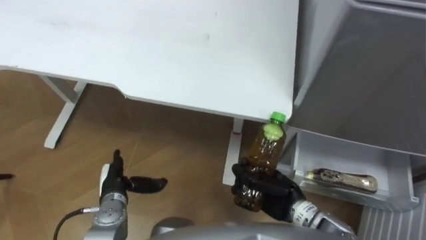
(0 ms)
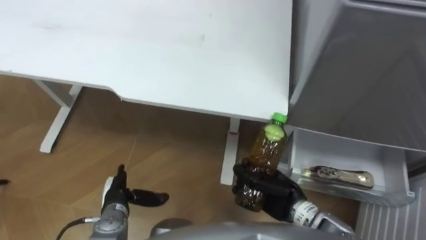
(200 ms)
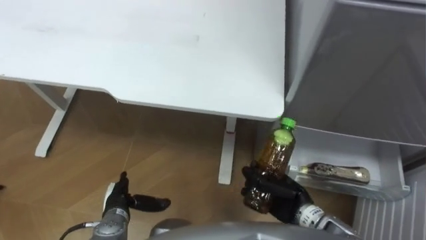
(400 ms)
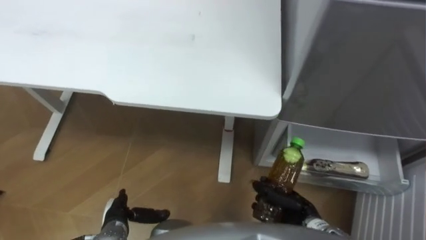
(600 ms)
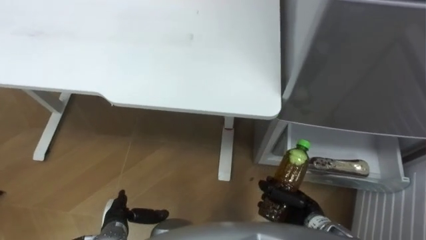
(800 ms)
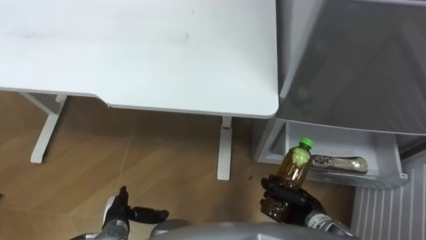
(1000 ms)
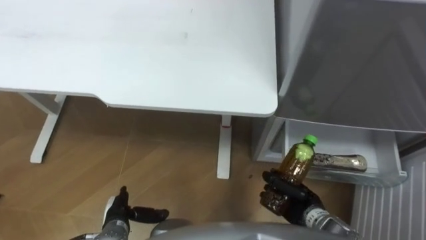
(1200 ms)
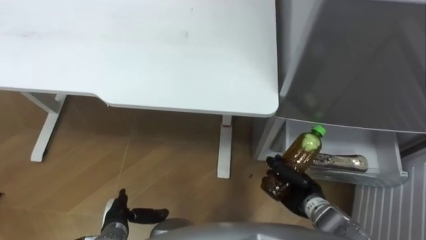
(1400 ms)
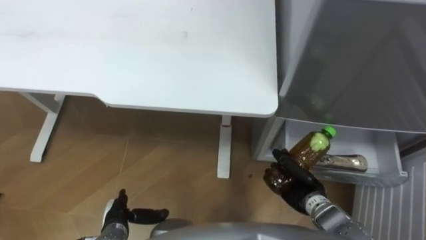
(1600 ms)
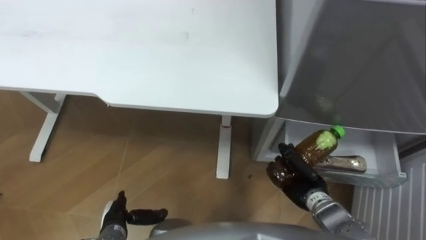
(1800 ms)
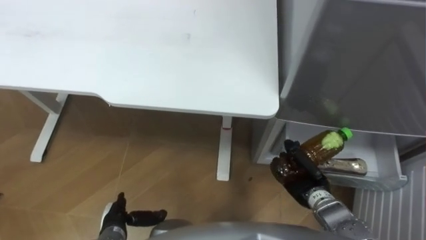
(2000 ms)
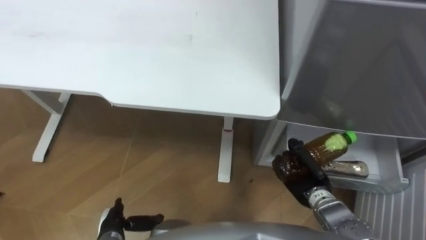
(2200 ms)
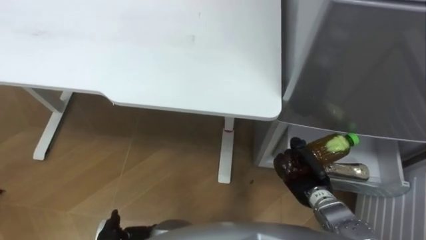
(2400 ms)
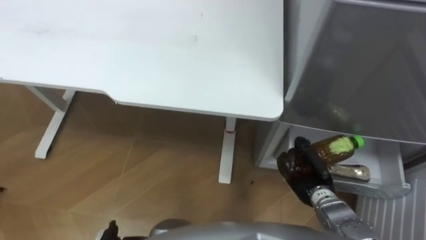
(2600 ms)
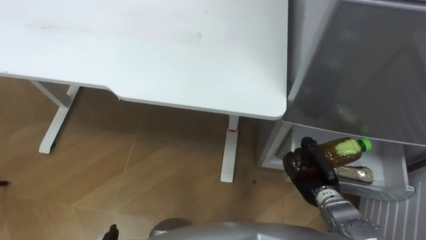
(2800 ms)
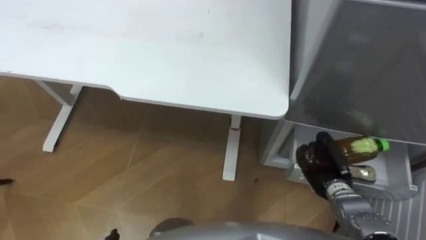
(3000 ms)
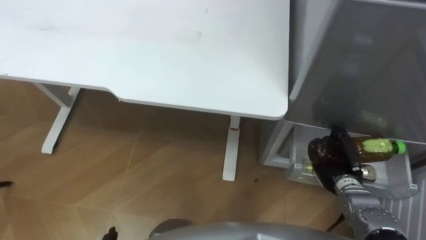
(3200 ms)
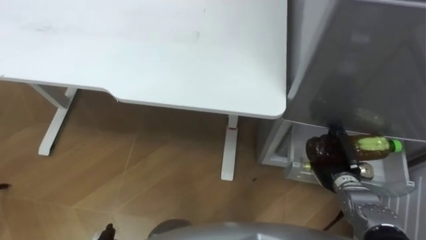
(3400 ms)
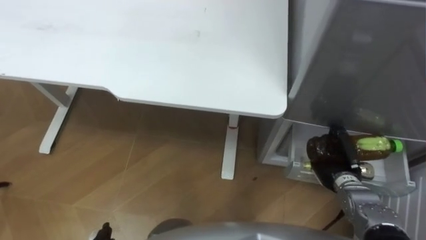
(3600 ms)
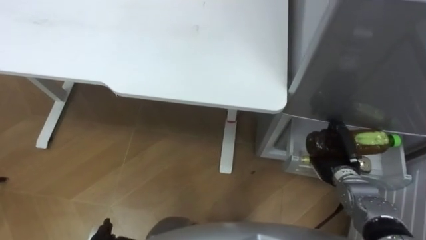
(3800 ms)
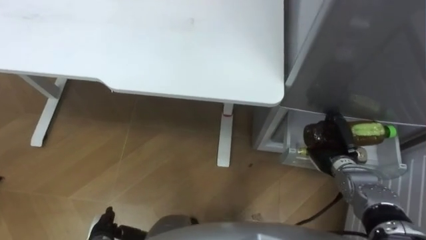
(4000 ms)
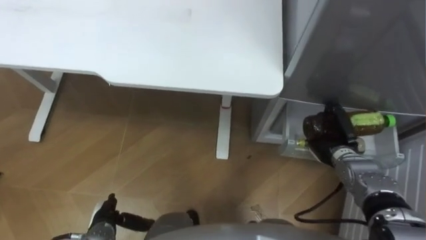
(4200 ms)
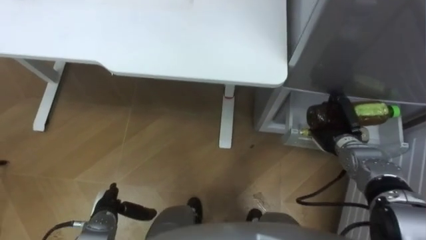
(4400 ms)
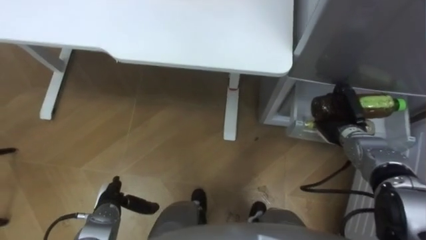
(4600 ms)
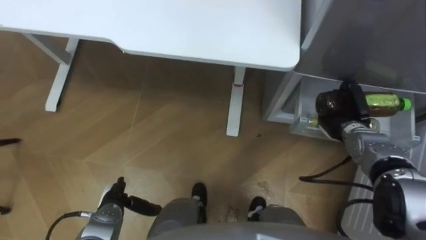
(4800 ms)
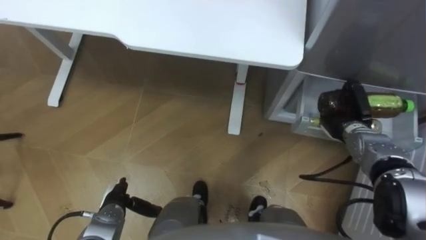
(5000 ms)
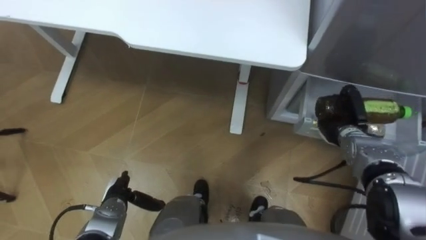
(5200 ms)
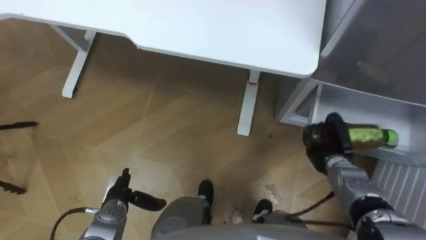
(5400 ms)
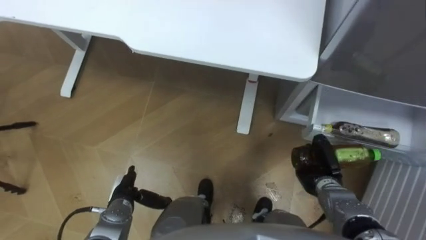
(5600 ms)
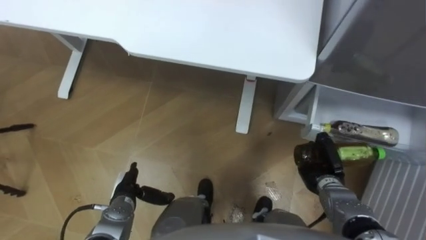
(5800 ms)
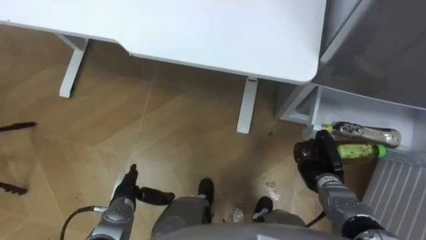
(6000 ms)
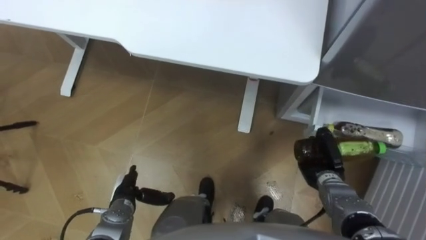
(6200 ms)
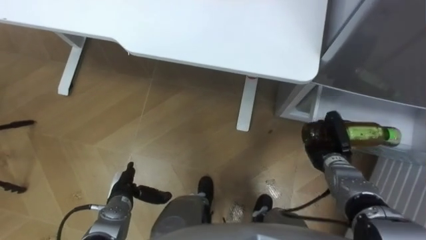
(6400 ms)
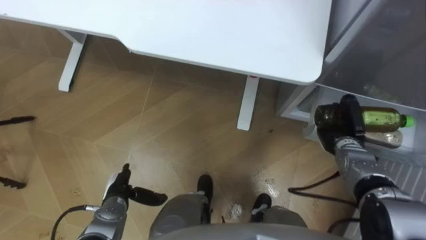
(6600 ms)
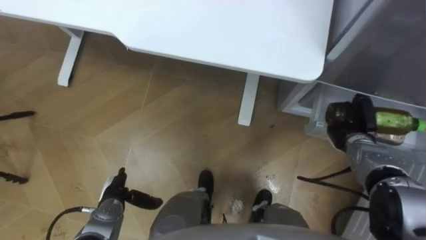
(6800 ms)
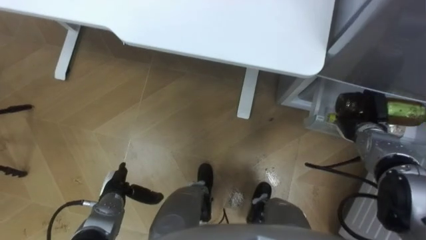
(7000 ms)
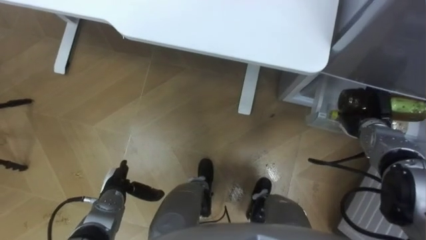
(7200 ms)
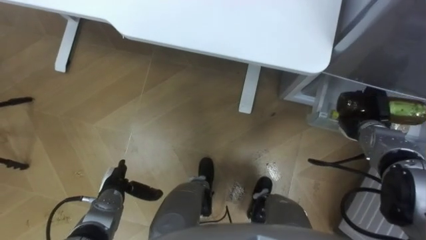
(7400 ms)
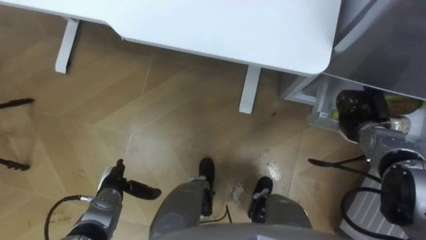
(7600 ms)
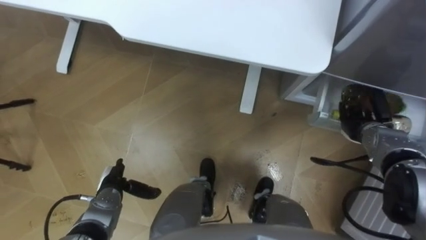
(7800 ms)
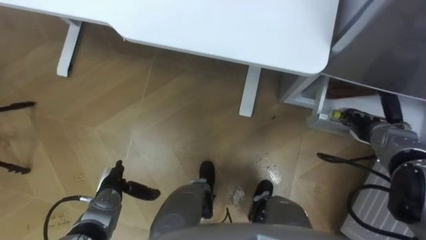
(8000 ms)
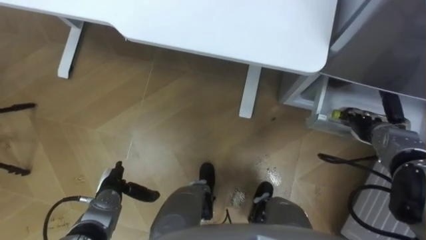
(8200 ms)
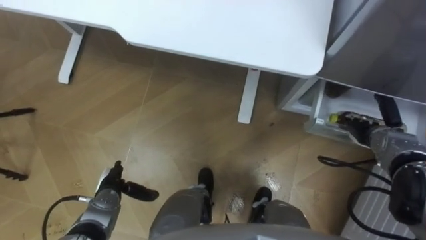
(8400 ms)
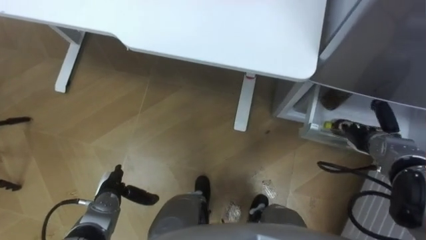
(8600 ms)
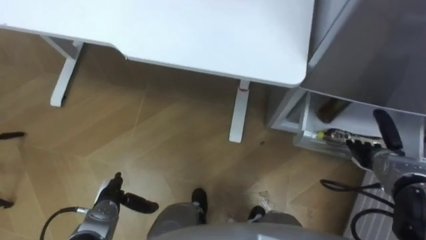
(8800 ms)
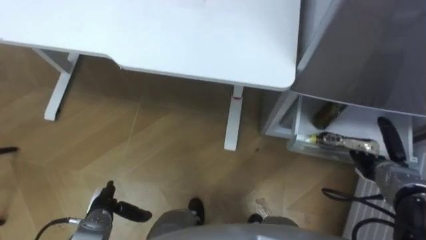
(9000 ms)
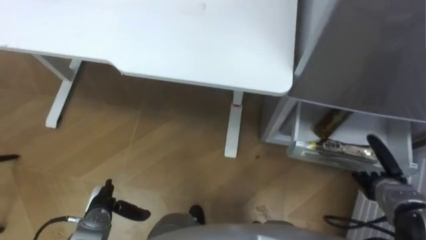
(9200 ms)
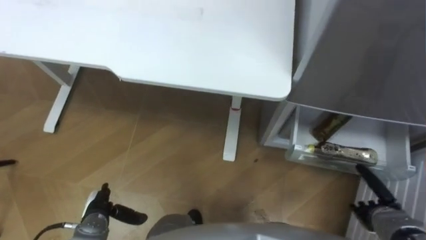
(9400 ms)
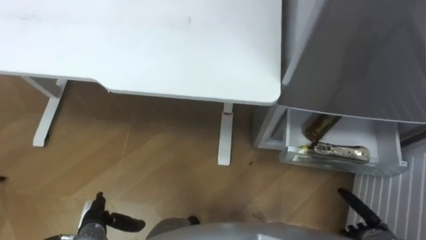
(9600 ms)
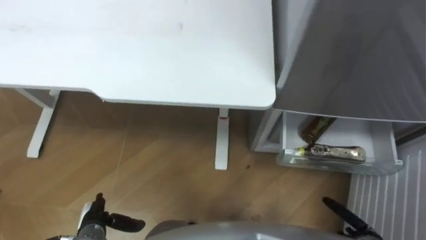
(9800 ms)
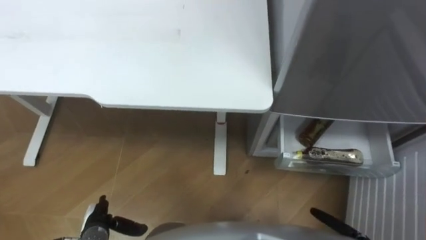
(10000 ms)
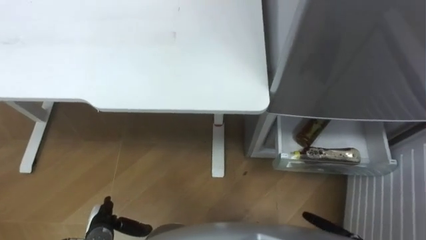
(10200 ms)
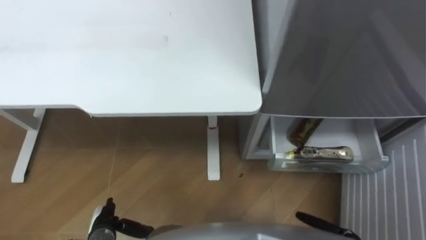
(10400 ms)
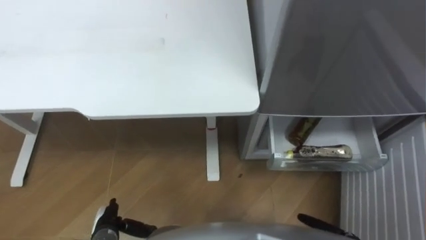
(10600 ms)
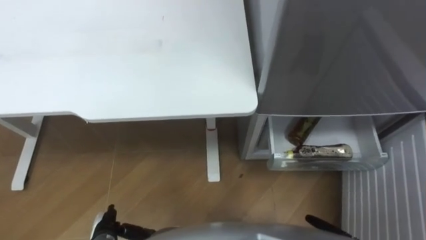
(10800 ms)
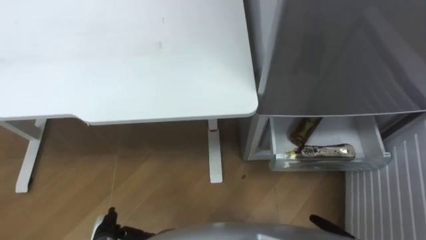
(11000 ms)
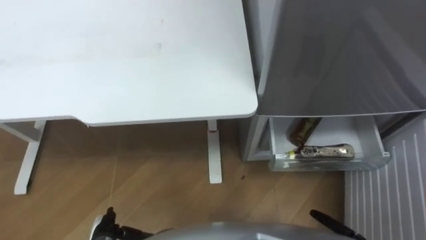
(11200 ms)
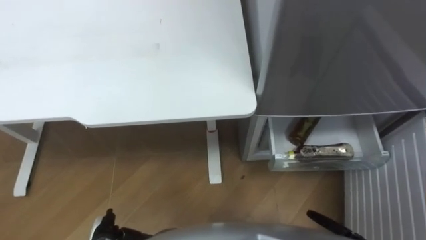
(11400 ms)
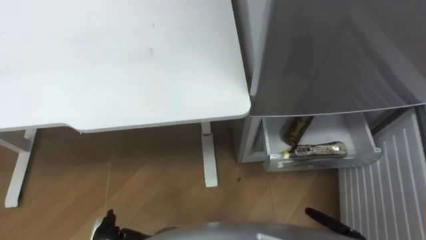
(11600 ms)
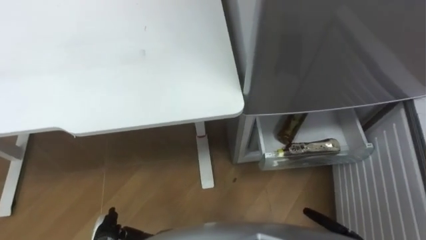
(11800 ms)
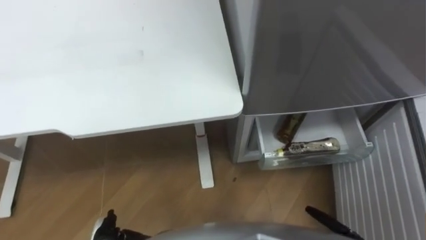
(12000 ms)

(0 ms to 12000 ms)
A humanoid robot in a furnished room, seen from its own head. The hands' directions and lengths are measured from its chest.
Task of the whole recording: Place the drink on the table on the bottom shelf of the refrigerator, then close the drawer and the refrigerator door.
0 ms - 1600 ms: The left hand travels backward by approximately 5 cm; the right hand travels to the right and downward by roughly 10 cm.
1600 ms - 3000 ms: The right hand travels to the right by approximately 5 cm.
3000 ms - 4400 ms: The right hand heads forward, covering roughly 10 cm.
4400 ms - 6000 ms: The left hand moves about 5 cm. Meanwhile the right hand is displaced backward by roughly 5 cm.
6000 ms - 7600 ms: The right hand heads forward, to the right and upward, covering about 15 cm, and opens its fingers.
7600 ms - 9000 ms: The right hand moves backward, about 10 cm, and opens.

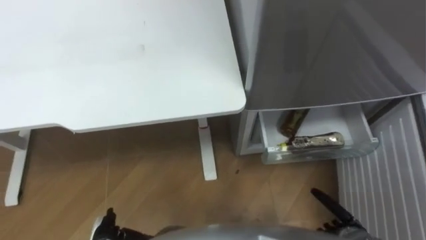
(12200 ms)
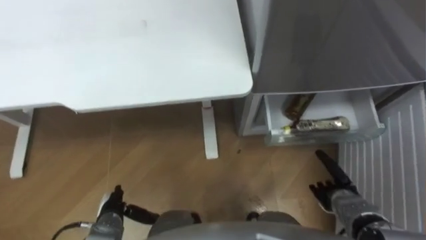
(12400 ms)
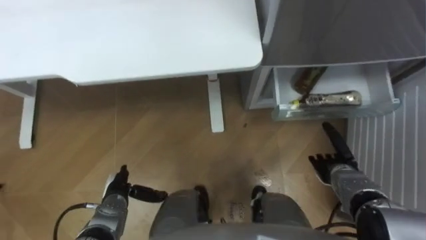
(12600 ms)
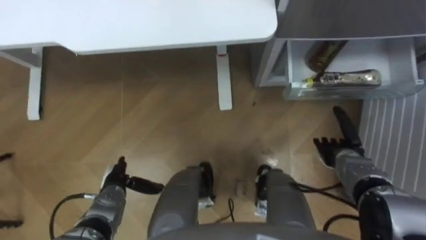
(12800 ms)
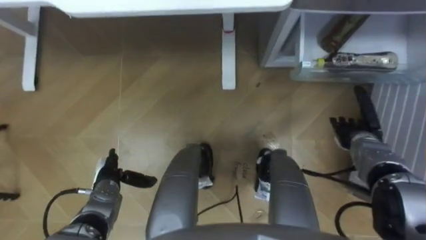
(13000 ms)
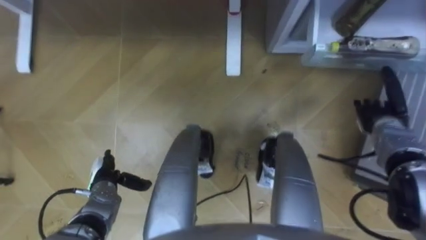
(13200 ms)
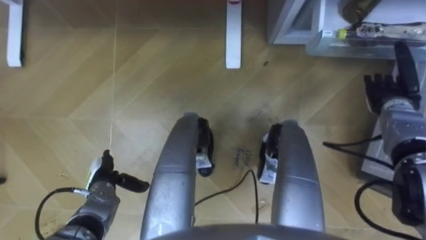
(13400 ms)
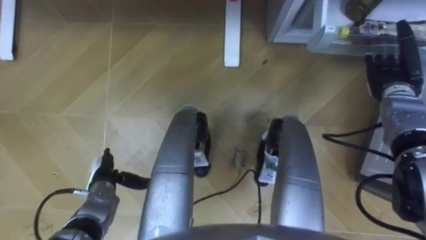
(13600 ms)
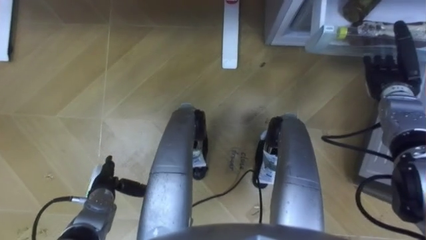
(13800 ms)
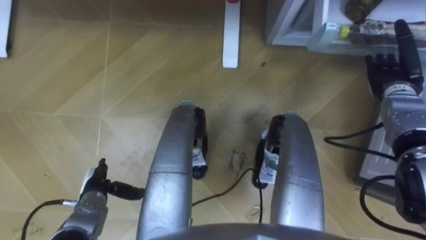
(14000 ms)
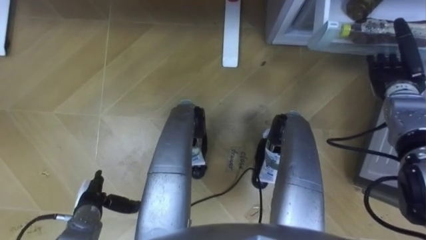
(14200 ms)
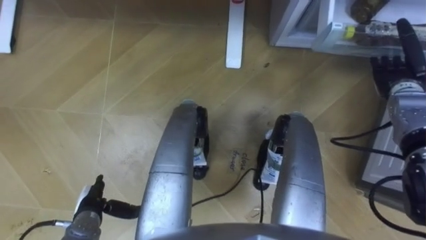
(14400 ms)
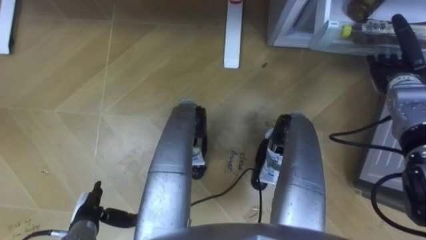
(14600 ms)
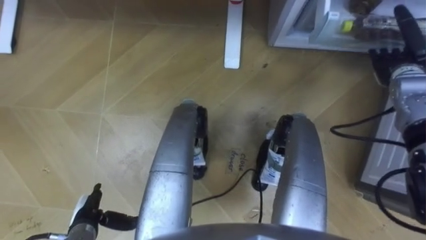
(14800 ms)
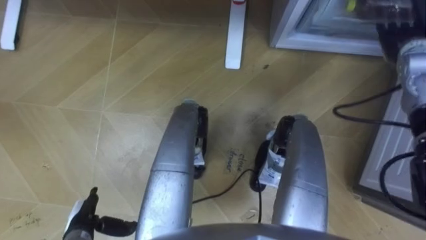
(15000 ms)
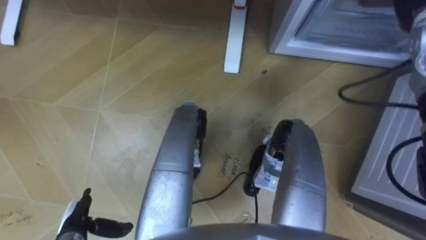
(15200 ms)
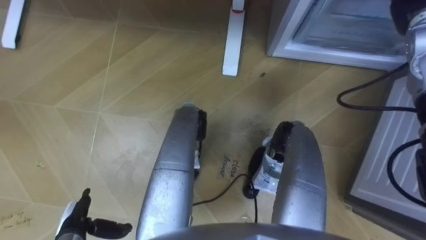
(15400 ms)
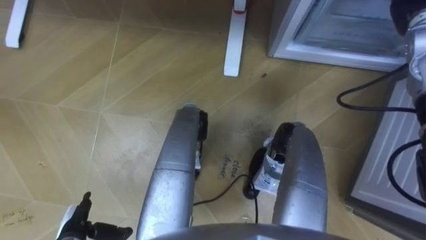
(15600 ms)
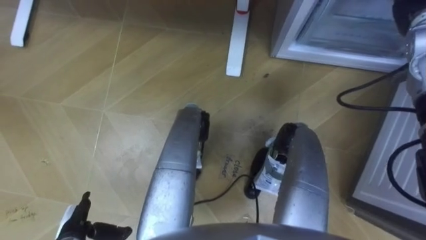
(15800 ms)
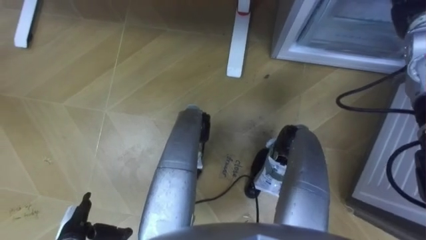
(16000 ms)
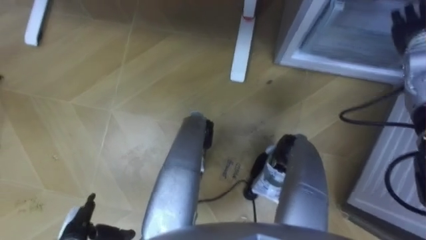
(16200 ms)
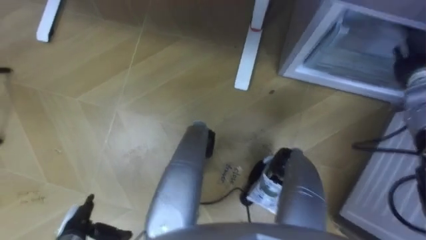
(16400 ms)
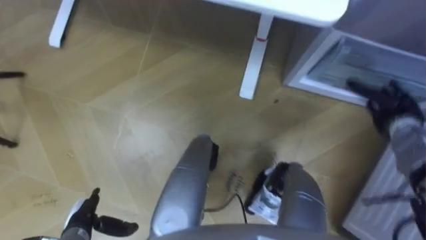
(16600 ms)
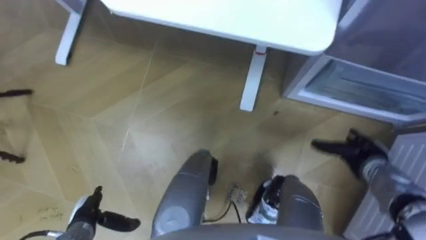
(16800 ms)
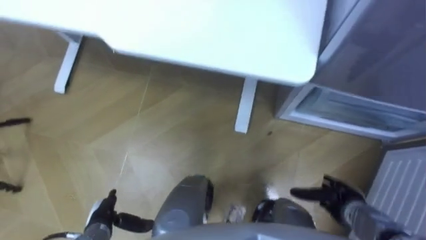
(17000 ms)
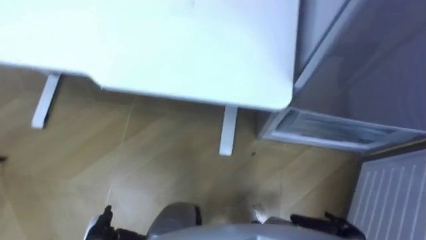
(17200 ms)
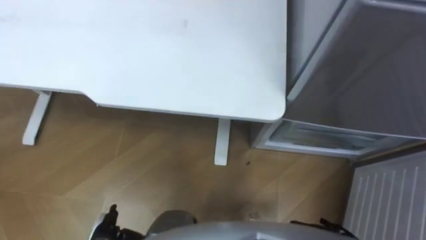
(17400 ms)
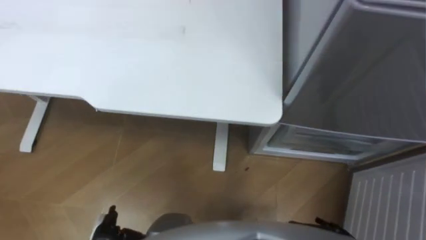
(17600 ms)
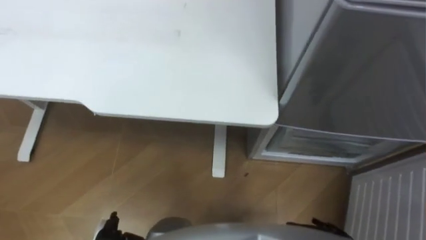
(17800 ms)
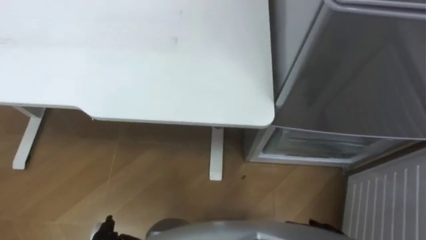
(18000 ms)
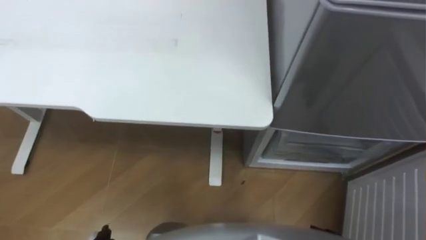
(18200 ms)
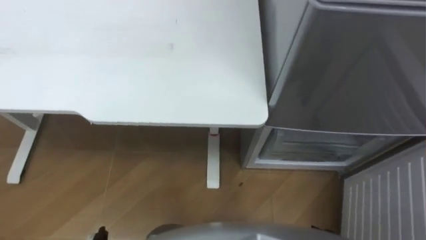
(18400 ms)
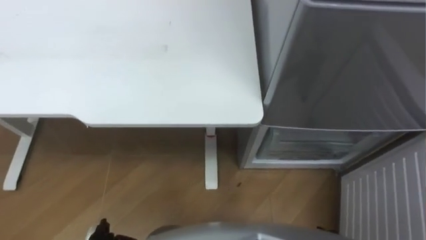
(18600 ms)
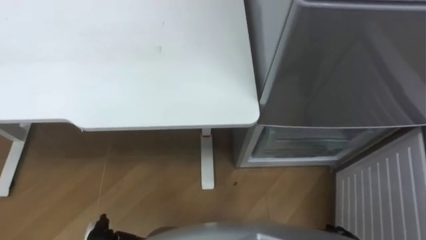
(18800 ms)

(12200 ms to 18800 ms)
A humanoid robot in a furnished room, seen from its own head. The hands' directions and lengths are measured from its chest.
Task of the whole recording: Place the drink on the table on the bottom shelf of the refrigerator, then close the drawer and the refrigerator door.
12200 ms - 13800 ms: The left hand shifts about 10 cm forward; the right hand travels forward and upward by about 35 cm.
13800 ms - 15400 ms: The left hand heads backward, covering some 10 cm, while the right hand moves upward and forward, approximately 15 cm.
15400 ms - 17200 ms: The right hand heads backward and downward, covering roughly 50 cm. Meanwhile the left hand shifts by roughly 5 cm.
